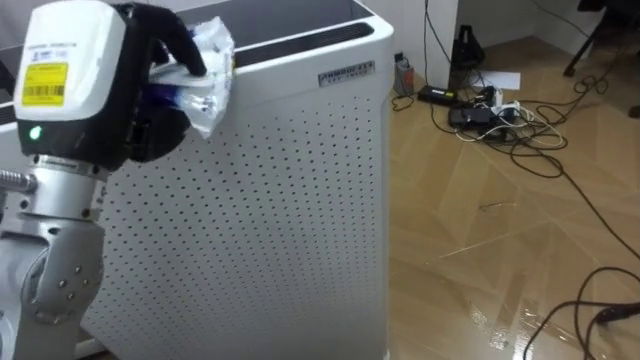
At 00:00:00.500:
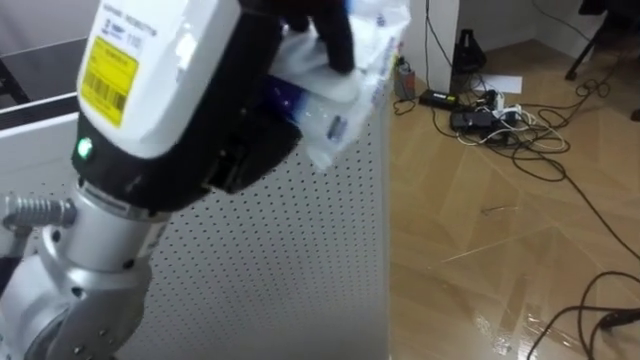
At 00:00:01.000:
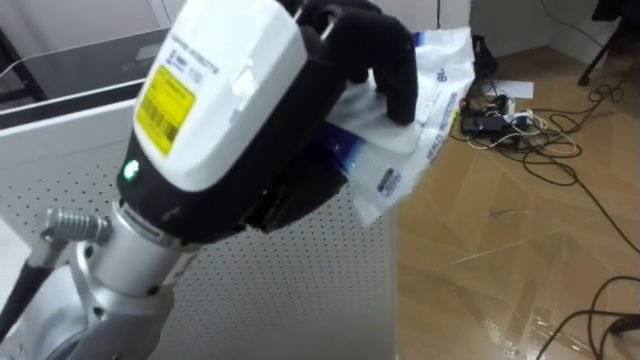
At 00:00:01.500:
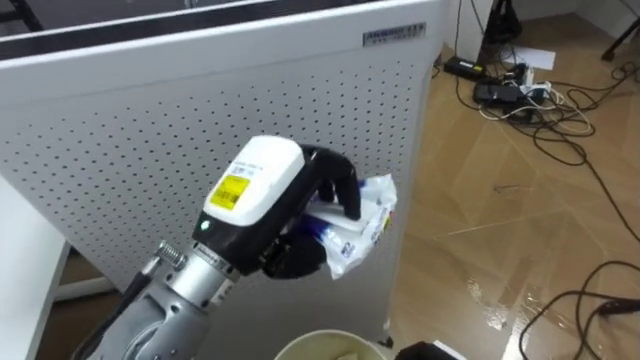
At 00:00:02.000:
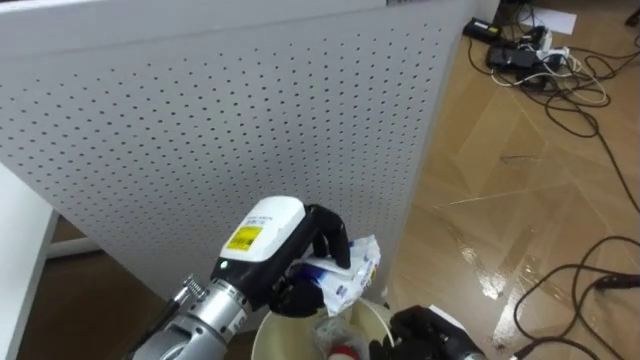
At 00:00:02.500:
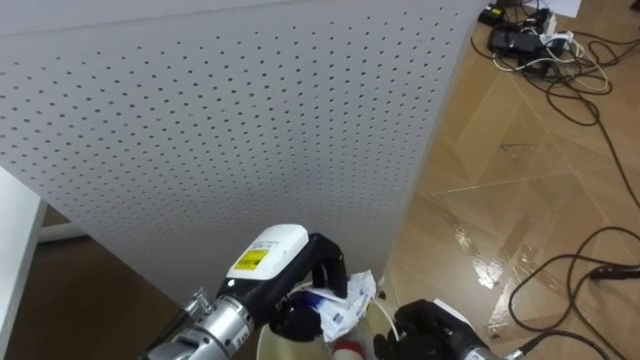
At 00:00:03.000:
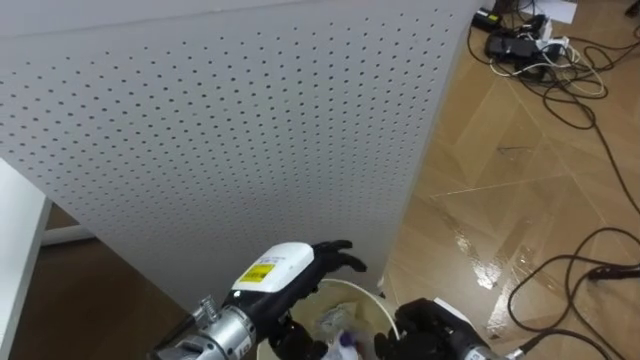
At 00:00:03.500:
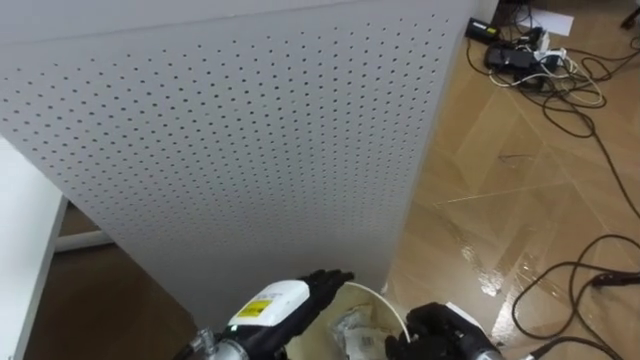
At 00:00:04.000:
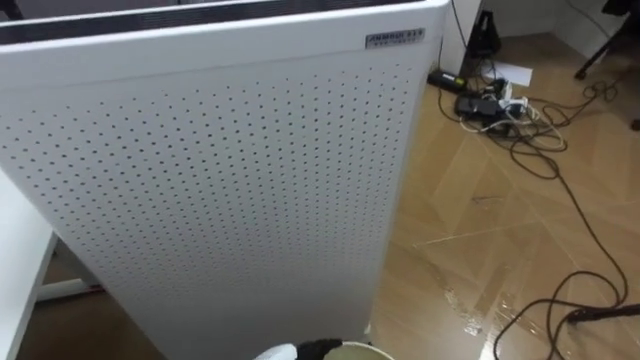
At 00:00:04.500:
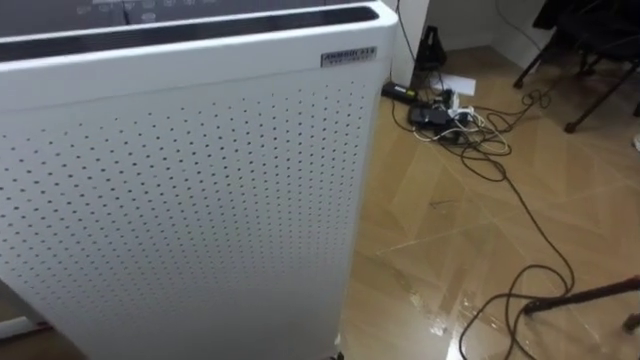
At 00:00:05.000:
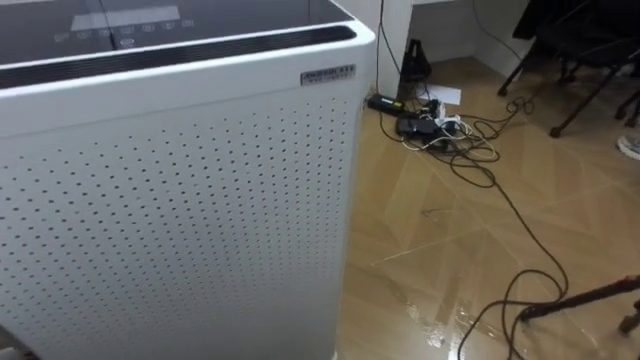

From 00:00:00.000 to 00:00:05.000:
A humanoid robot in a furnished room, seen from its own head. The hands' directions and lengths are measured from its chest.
Task of the whole recording: Pick up the light blue package, the candy box, and the dark blue package separately, and put them into the trash can held in your right hand.
From 00:00:00.000 to 00:00:02.500: The left hand is displaced downward and to the right by some 25 cm.

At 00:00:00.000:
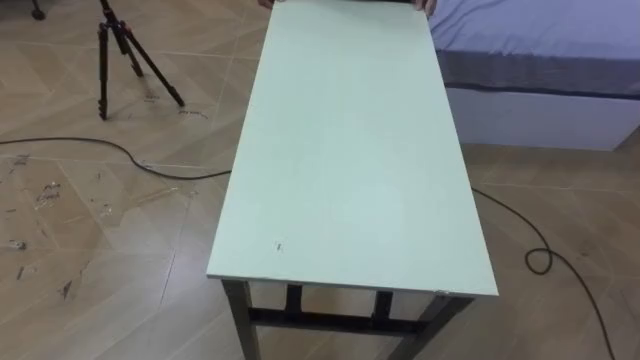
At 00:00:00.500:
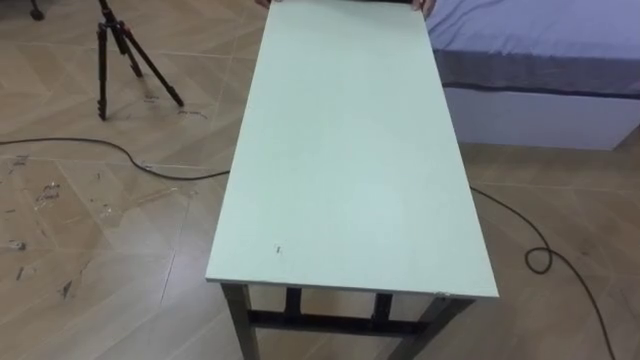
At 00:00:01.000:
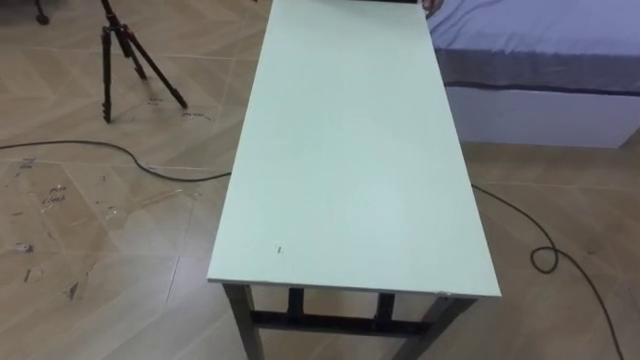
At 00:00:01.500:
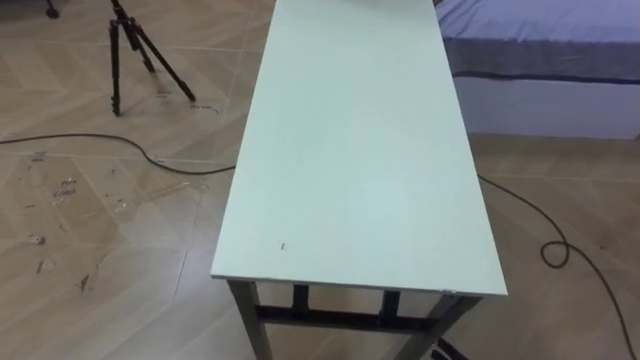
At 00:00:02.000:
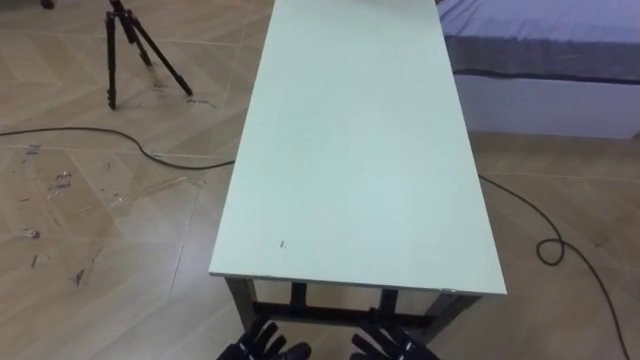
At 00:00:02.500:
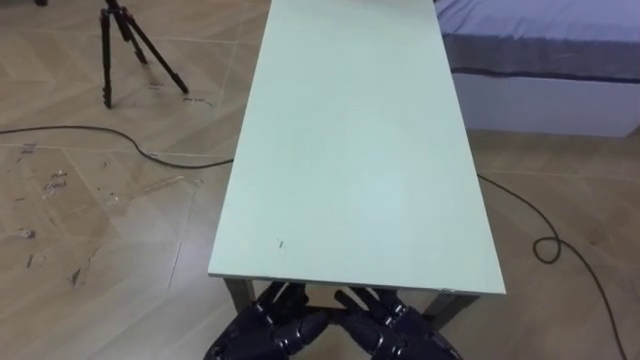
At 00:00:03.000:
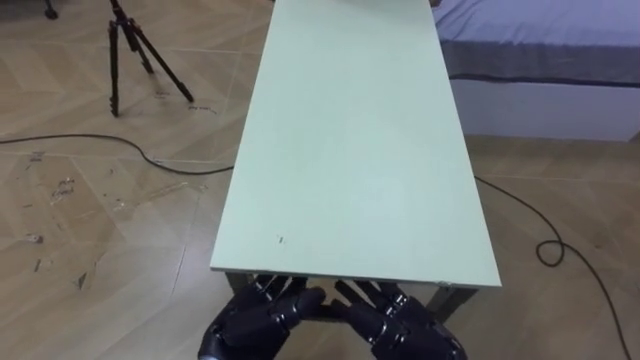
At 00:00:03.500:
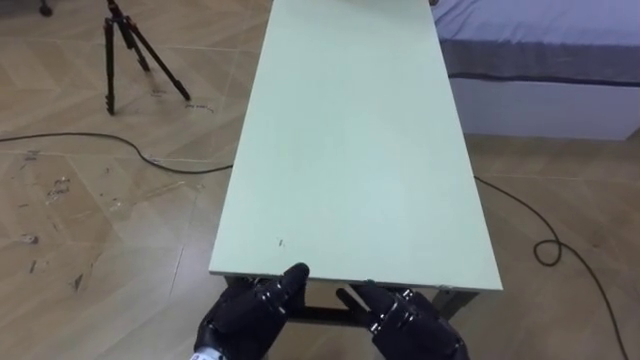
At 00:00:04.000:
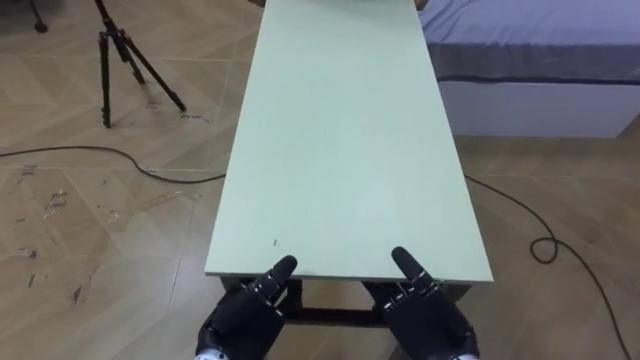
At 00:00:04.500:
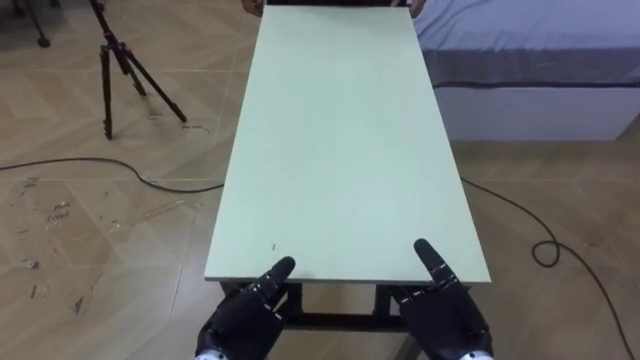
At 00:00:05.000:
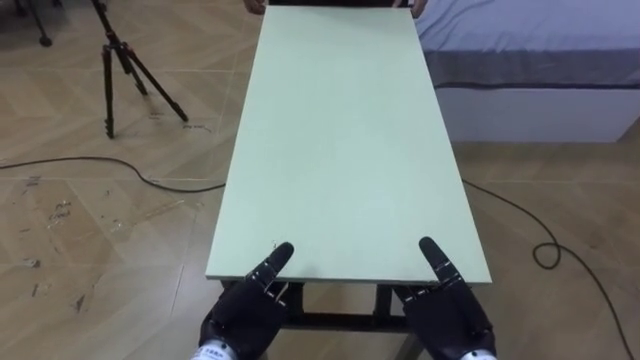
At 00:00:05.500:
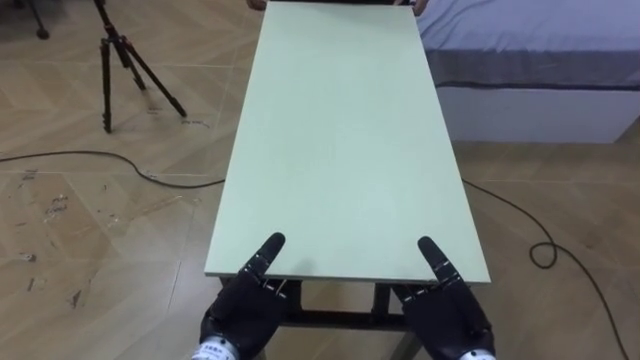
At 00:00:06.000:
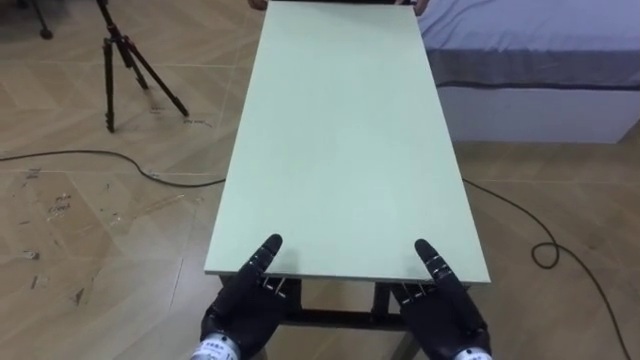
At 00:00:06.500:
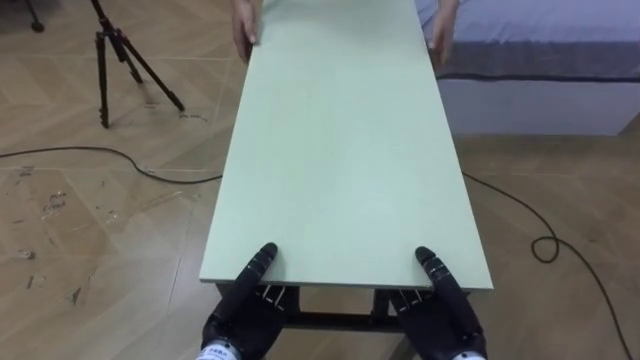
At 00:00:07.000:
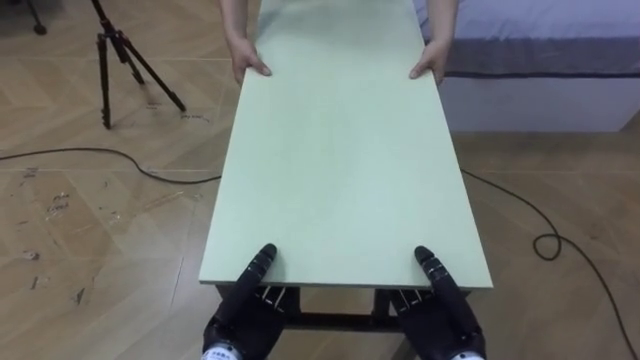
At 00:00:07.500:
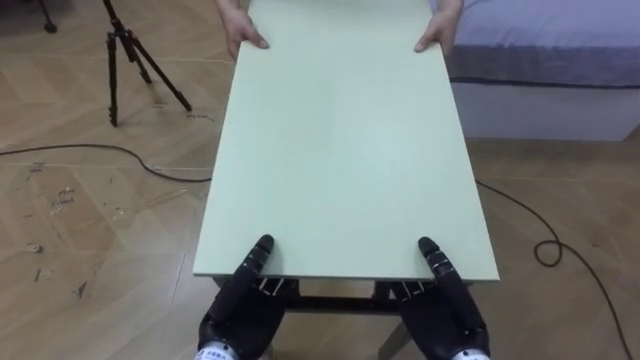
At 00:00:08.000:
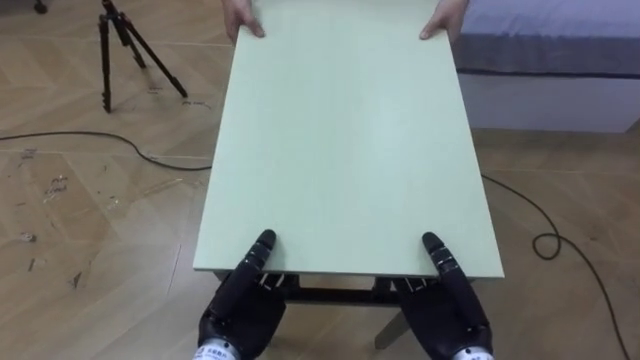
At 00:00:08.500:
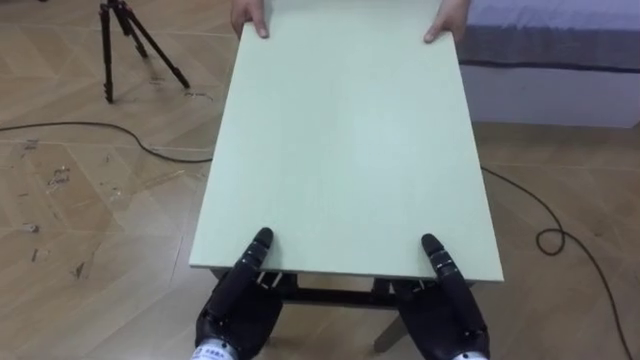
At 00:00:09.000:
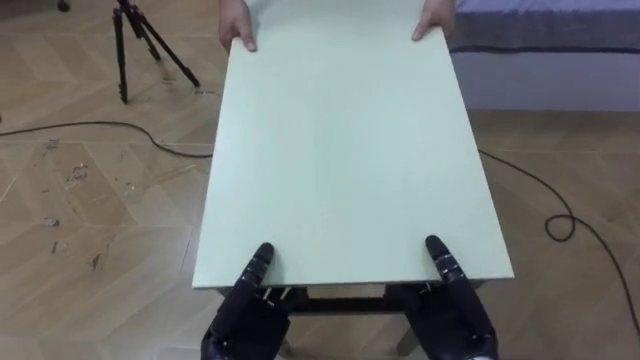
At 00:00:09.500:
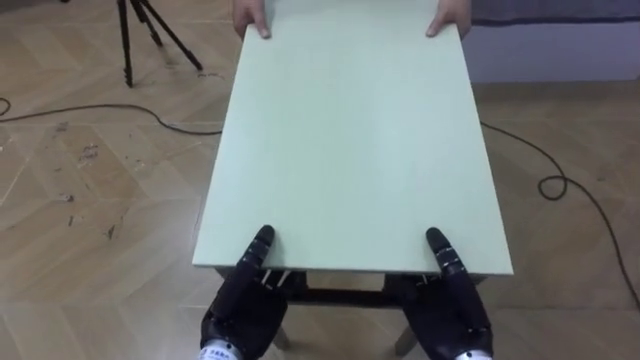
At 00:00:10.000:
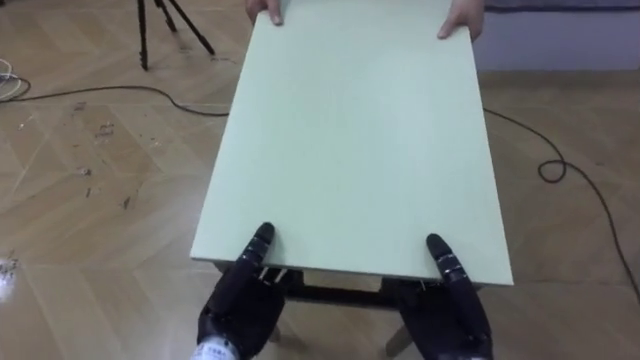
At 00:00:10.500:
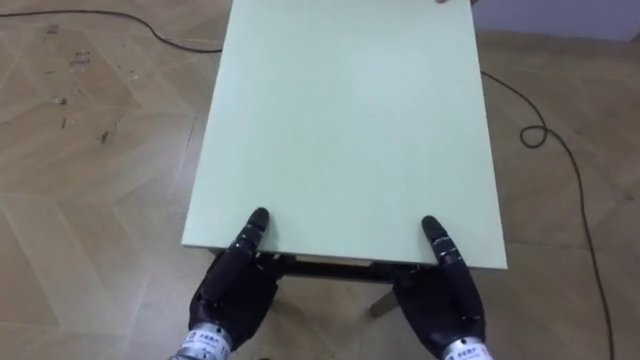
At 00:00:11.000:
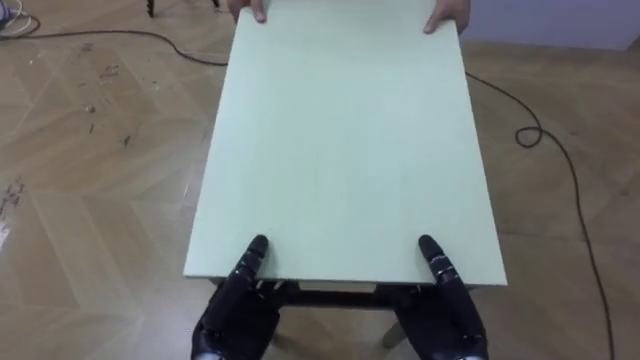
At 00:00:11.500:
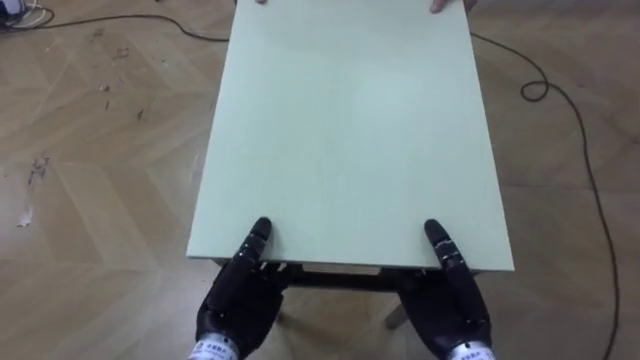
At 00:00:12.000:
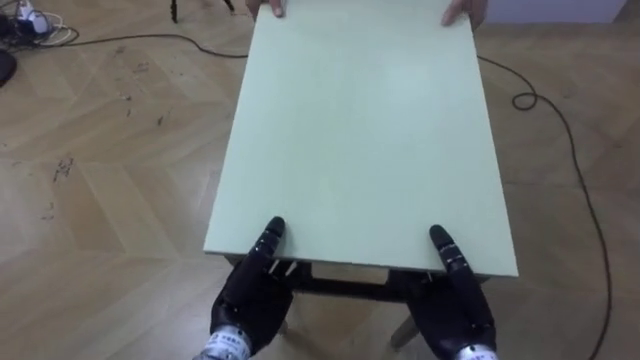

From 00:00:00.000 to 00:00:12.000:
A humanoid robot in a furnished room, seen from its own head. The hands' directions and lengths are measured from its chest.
Task of the whole recording: Move the table to the back left with someone.
From 00:00:04.000 to 00:00:06.000: The left hand closes.

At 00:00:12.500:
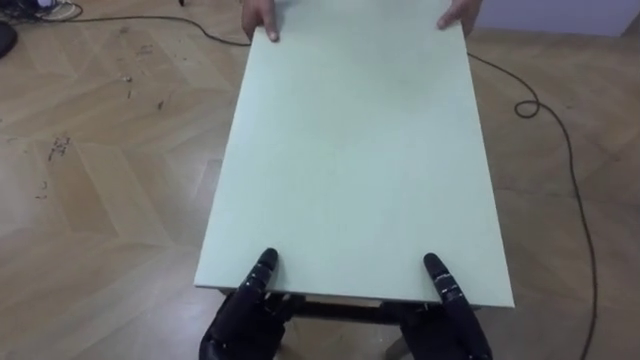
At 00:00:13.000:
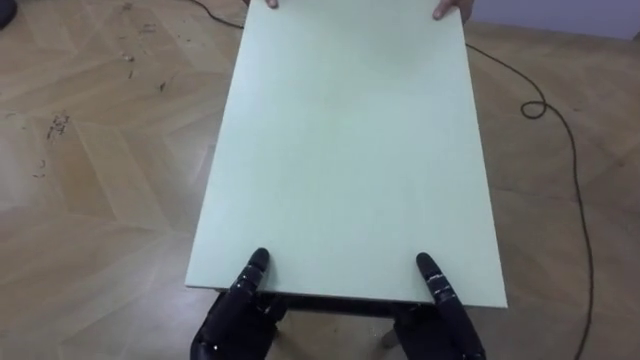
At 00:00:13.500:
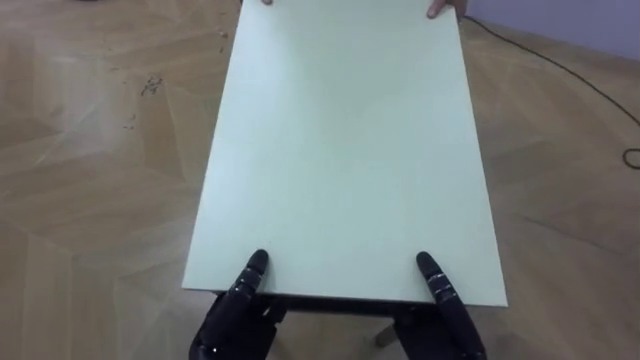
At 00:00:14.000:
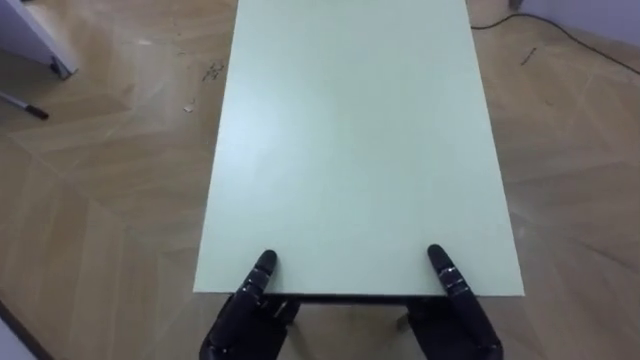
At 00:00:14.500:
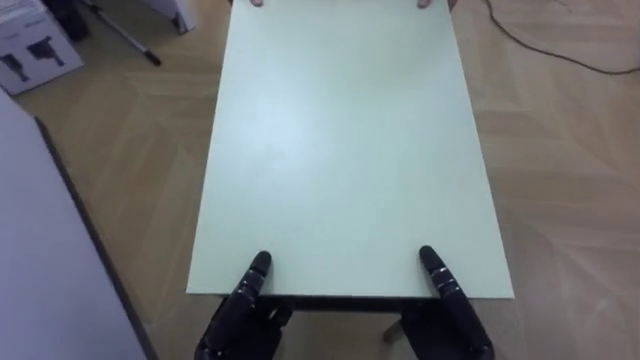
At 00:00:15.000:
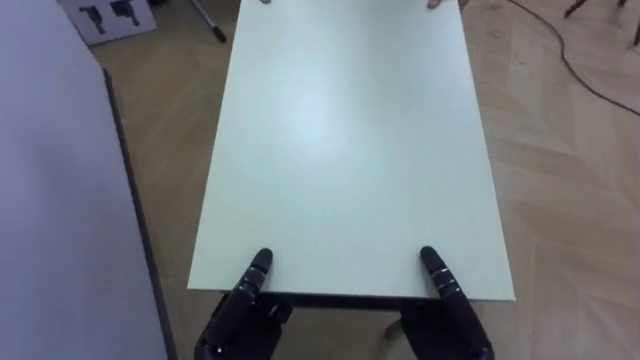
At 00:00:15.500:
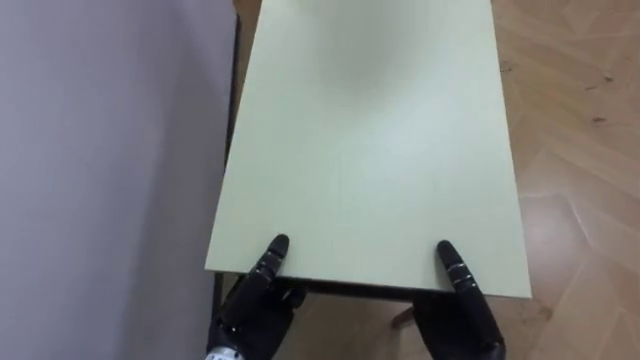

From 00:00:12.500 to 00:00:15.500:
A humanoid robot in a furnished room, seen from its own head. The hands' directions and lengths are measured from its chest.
Task of the whole recording: Move the table to the back left with someone.
From 00:00:12.500 to 00:00:14.000: The robot faces approximately 25 degrees further to its left.
From 00:00:14.000 to 00:00:15.500: The robot turns to its left by roughly 50 degrees.
